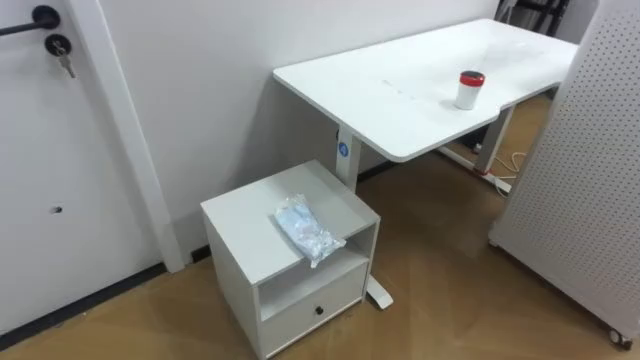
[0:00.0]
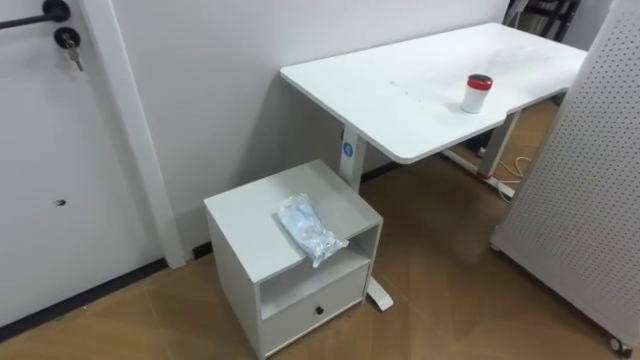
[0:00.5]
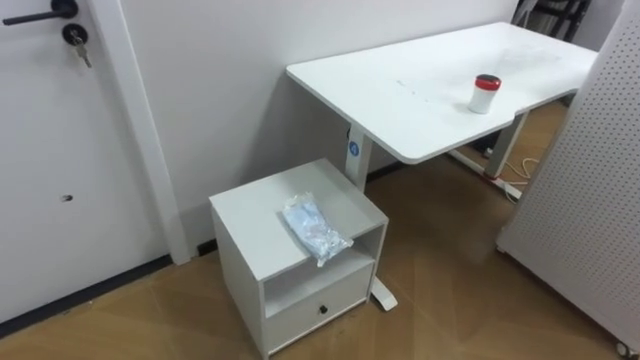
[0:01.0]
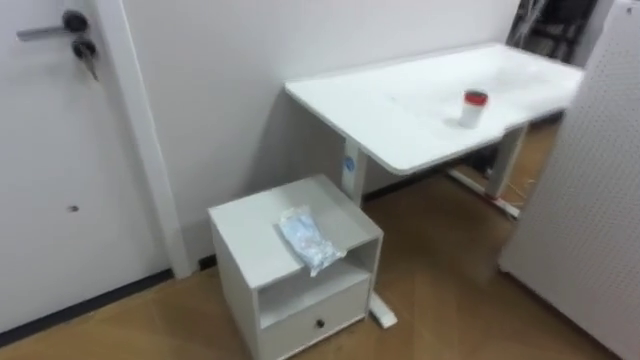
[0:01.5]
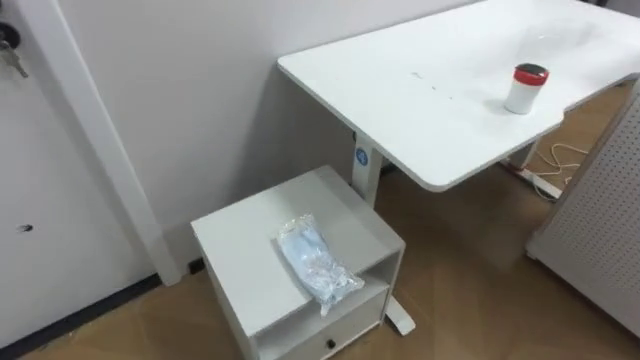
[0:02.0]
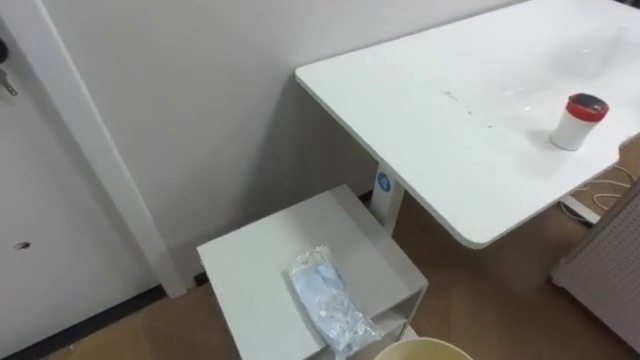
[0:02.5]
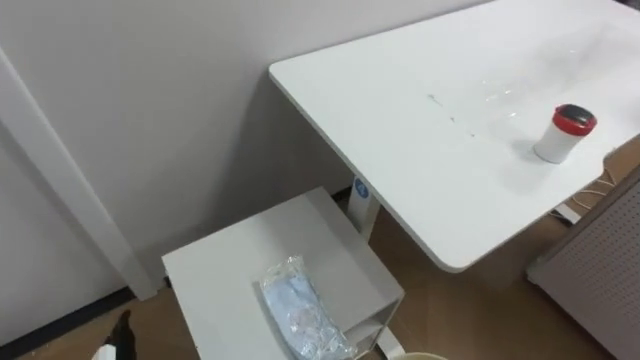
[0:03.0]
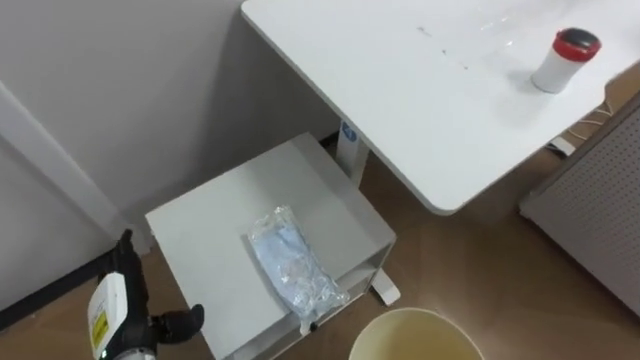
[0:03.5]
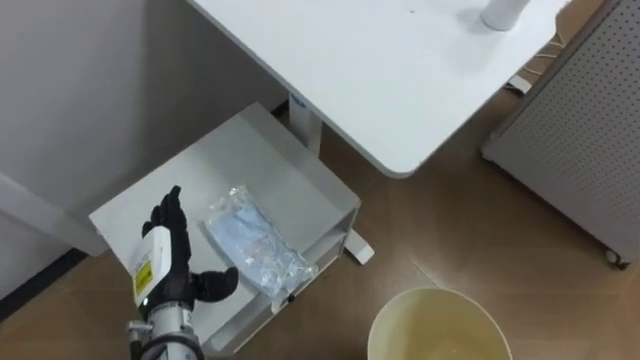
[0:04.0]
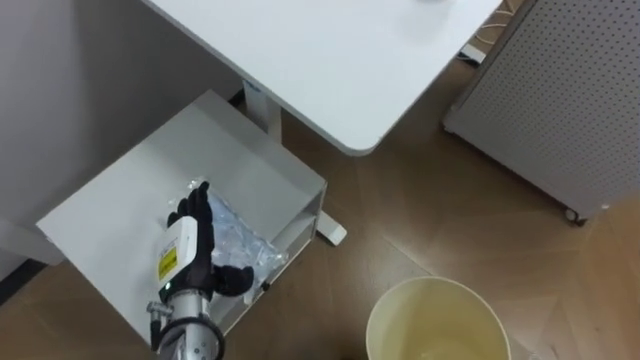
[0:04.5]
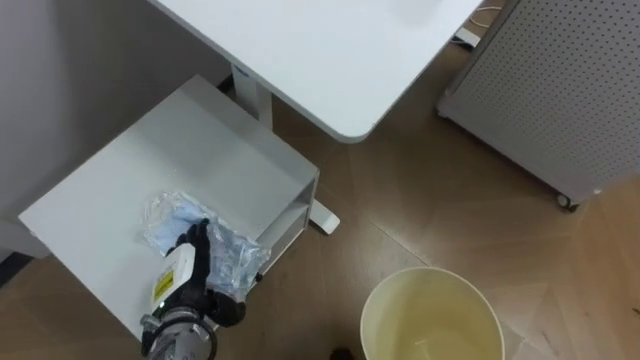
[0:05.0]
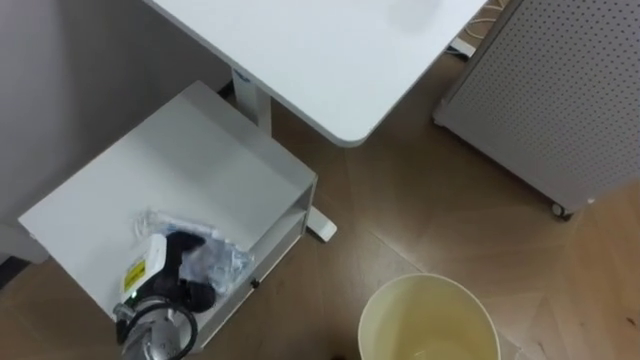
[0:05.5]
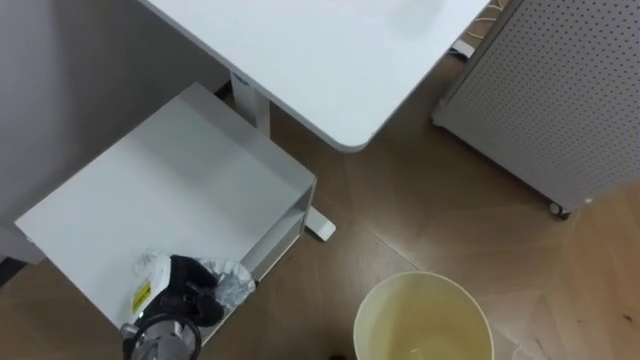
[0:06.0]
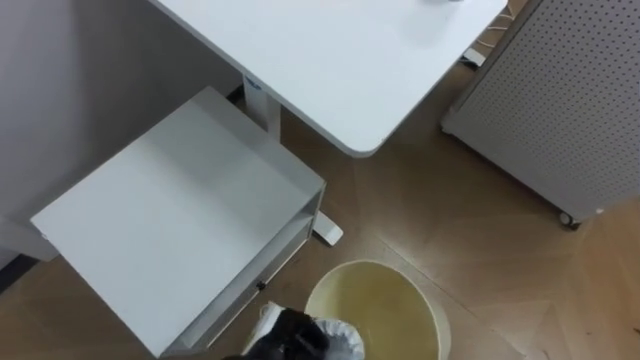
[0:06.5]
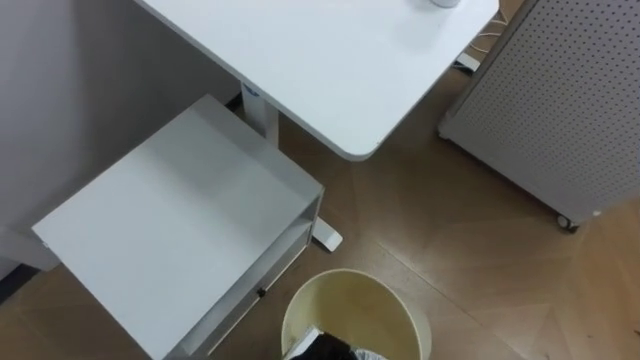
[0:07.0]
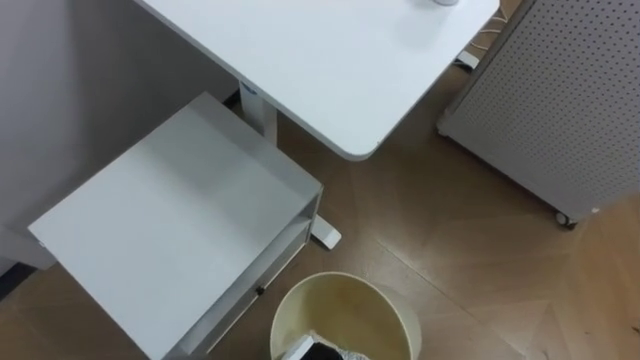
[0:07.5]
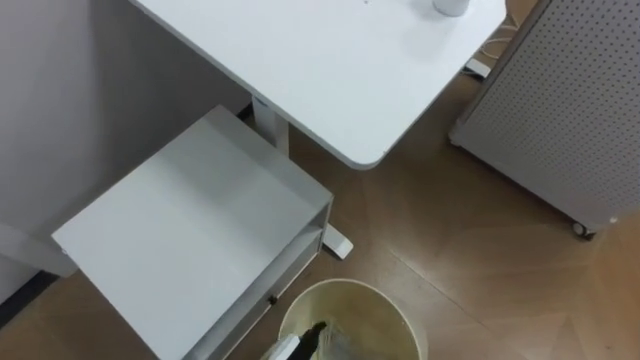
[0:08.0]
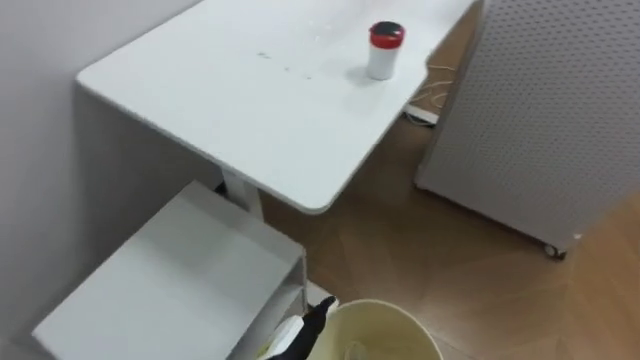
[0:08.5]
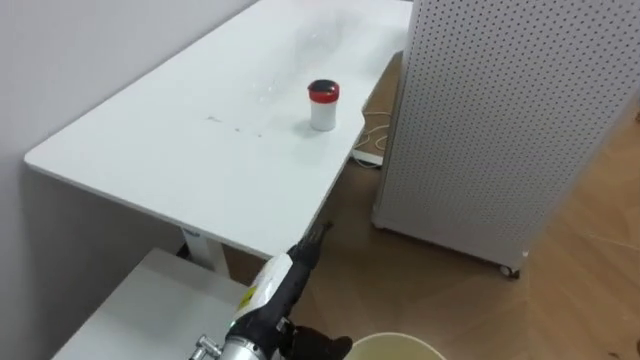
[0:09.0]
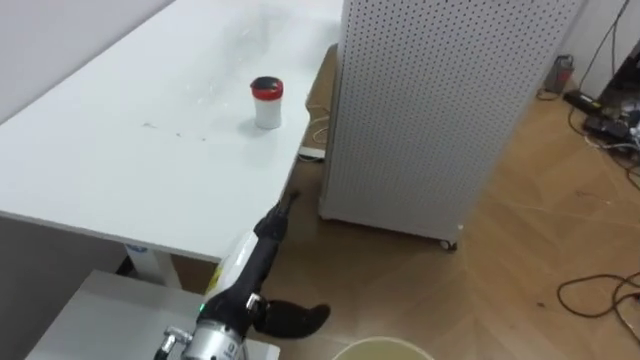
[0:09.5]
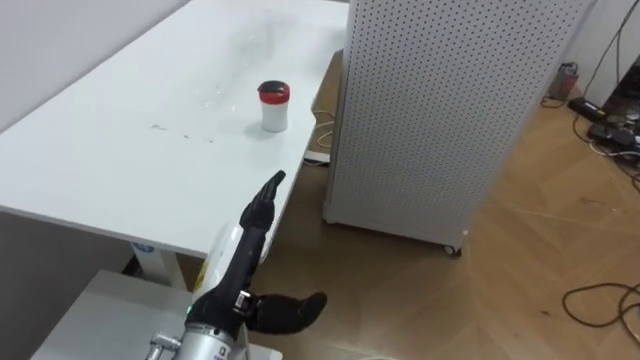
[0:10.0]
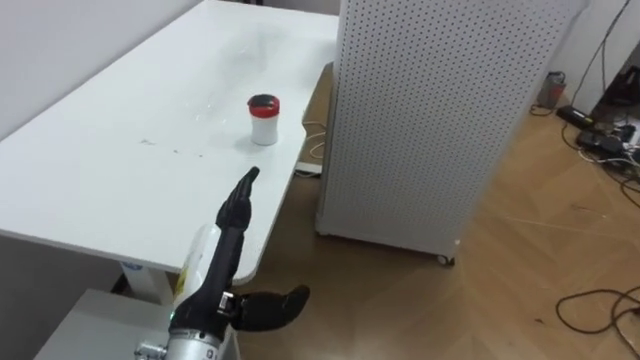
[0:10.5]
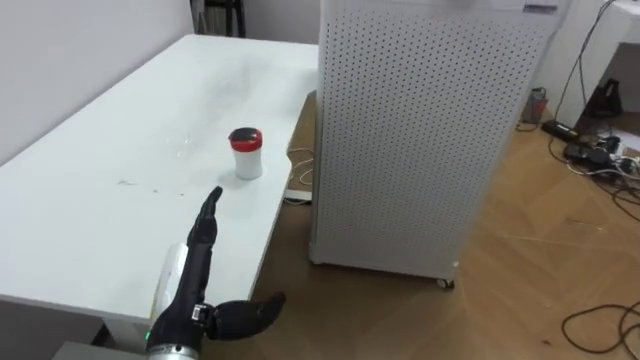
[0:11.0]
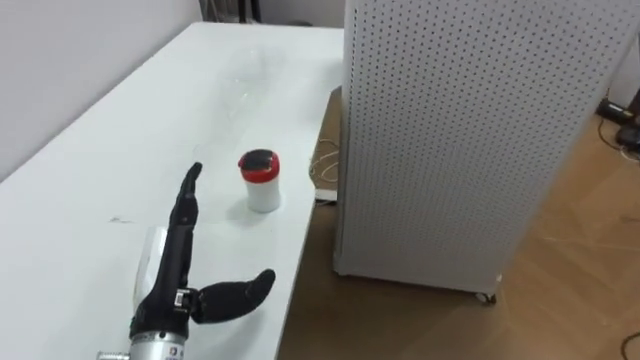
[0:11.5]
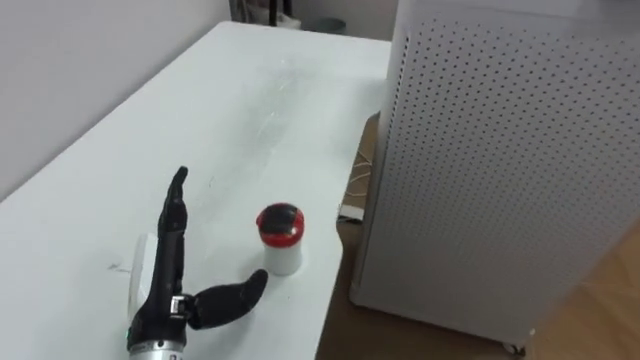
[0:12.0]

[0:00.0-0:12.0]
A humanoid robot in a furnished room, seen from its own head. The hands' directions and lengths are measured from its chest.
Task of the whole recording: Pick up the light blue package, the candy box, and the dark blue package separately, and put them into the trash can held in your right hand.
0:04.0 to 0:06.0: The left hand is displaced downward by about 5 cm, and closes up.
0:08.0 to 0:10.0: The robot turns to its right by approximately 35 degrees.
0:10.0 to 0:12.0: The left hand moves to the left, approximately 5 cm.

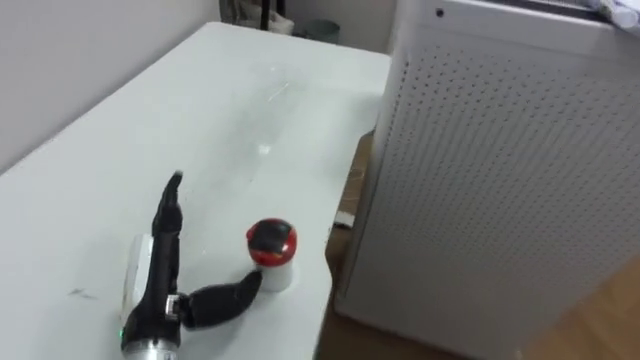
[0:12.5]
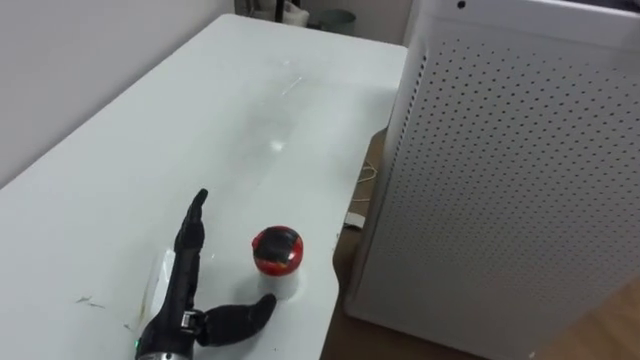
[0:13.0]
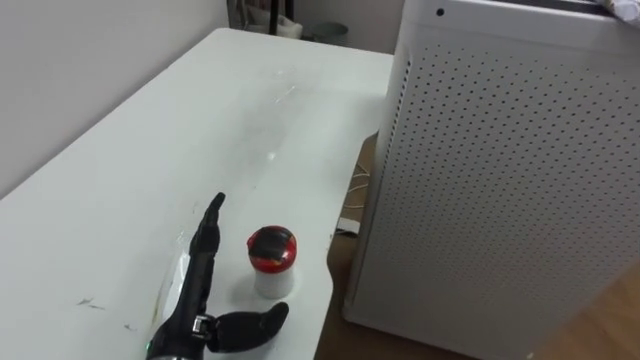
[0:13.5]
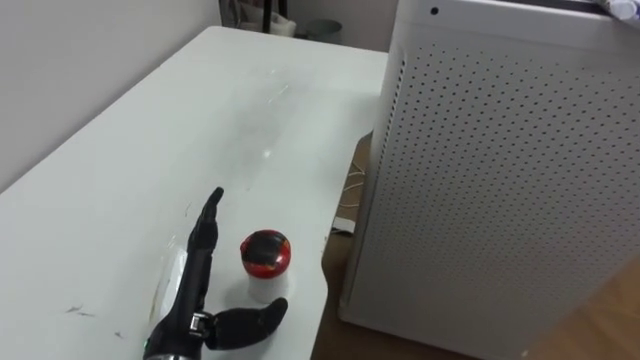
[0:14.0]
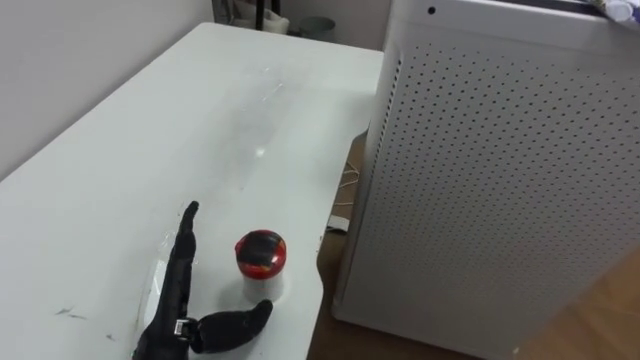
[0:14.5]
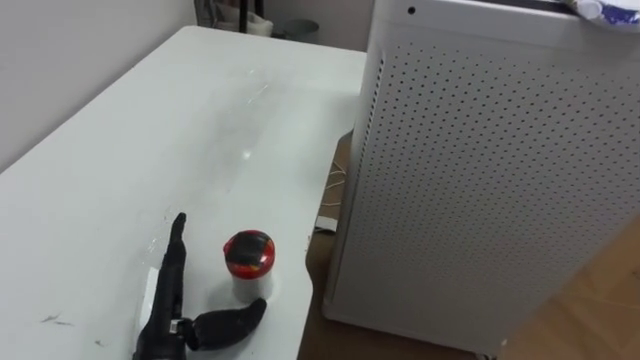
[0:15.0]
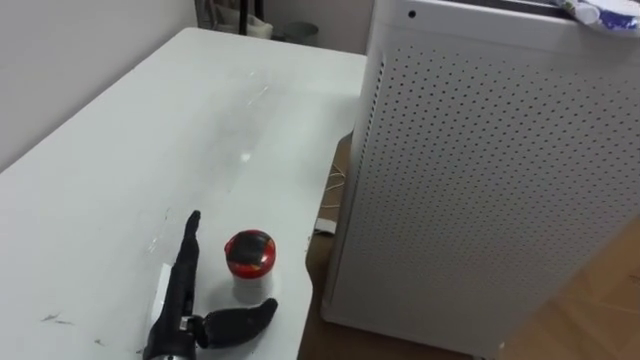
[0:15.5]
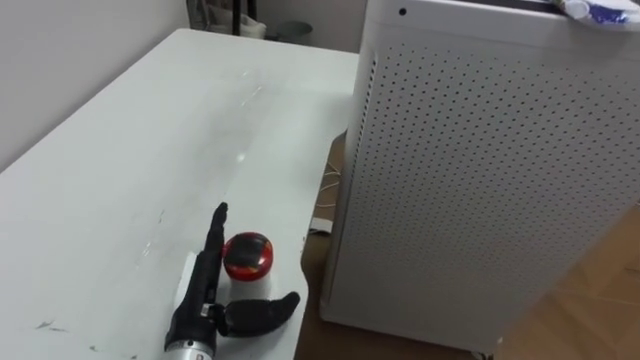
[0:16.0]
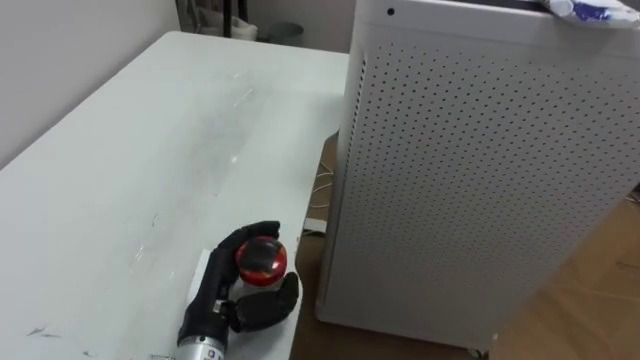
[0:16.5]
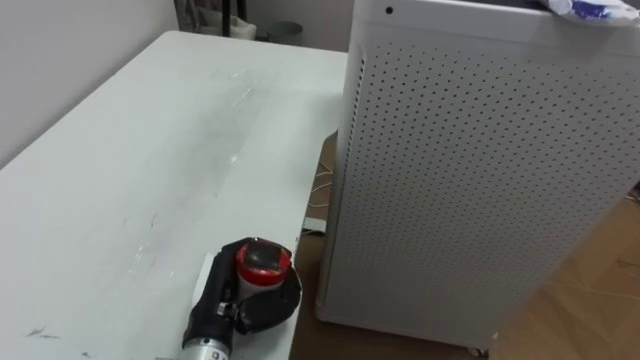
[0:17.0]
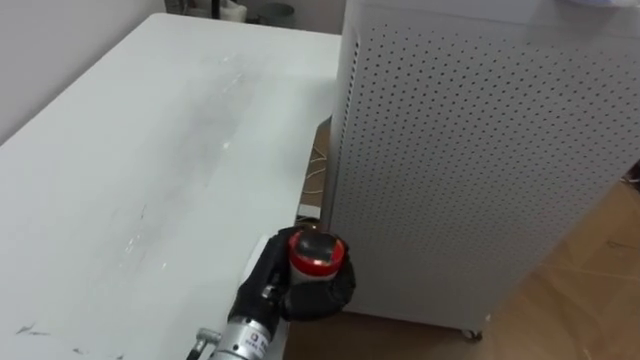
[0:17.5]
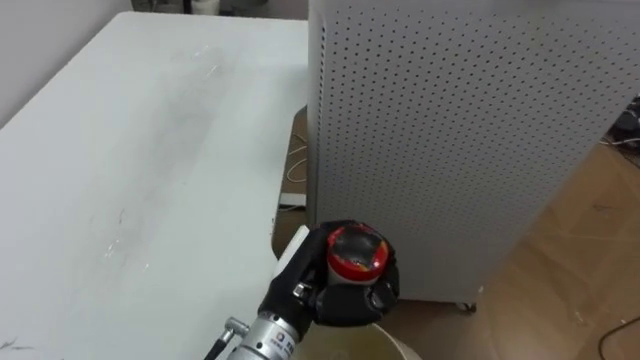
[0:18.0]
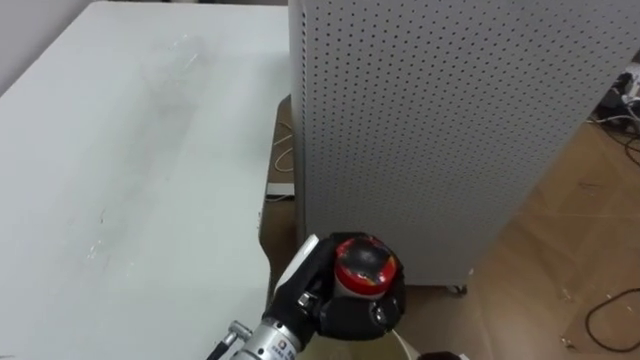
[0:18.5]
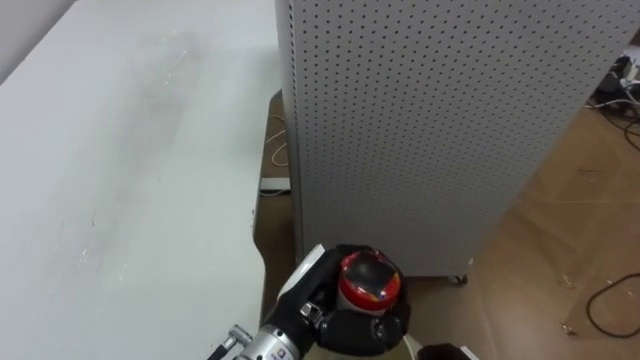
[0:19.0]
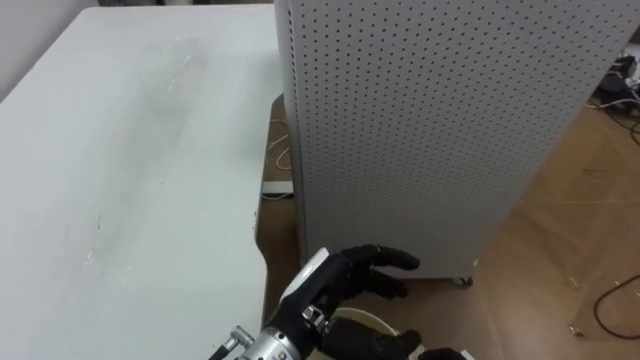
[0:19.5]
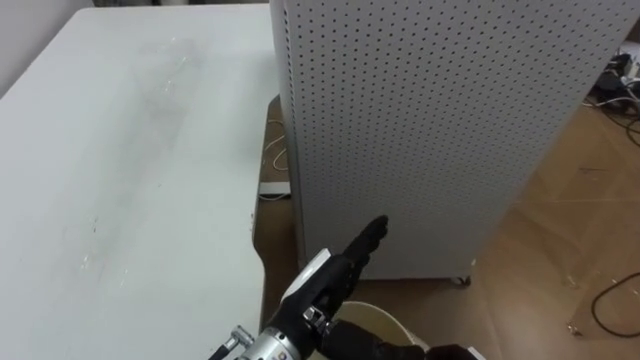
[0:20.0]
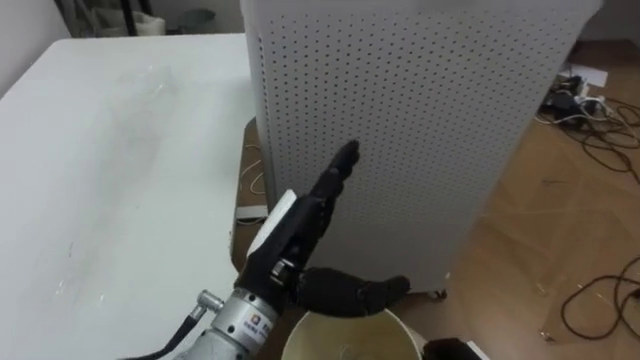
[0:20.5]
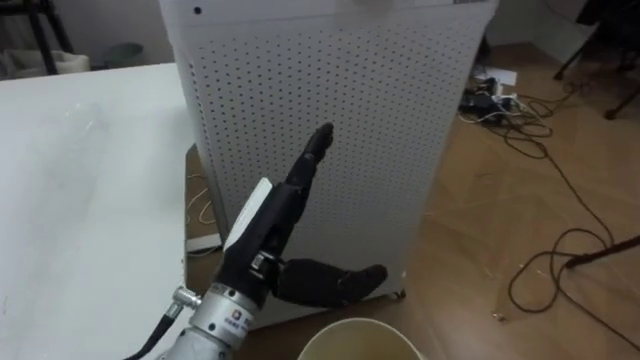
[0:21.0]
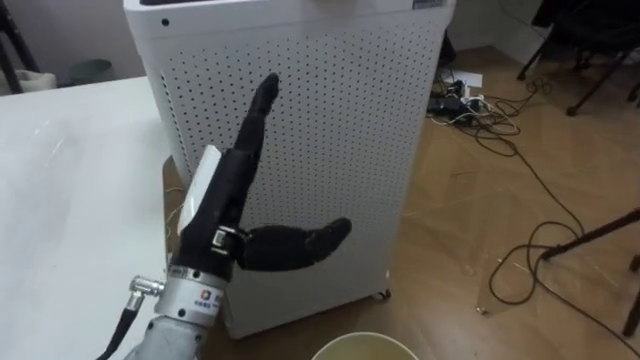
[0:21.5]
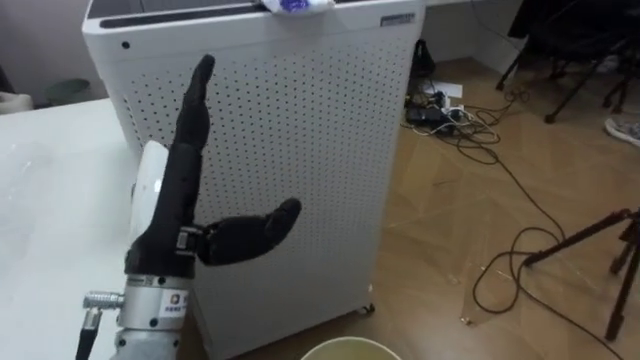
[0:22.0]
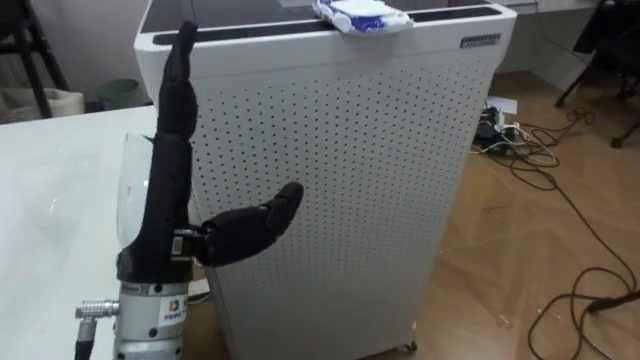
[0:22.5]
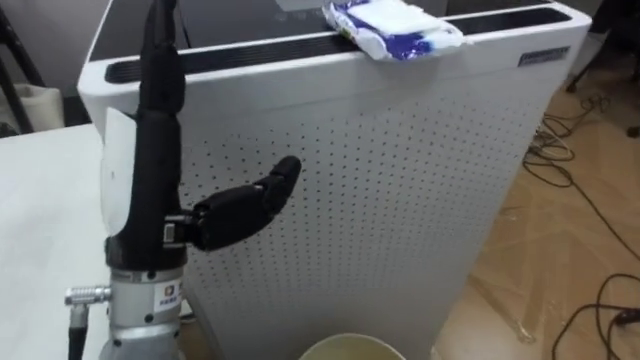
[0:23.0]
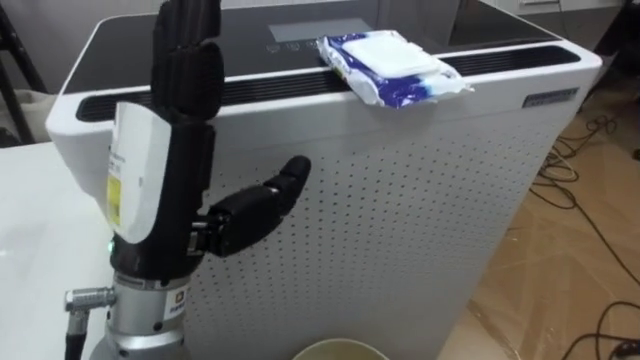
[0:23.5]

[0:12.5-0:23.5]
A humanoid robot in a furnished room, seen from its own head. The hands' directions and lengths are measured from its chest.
Task of the whole recording: Pick up the light blue package, the candy box, and the dark blue package separately, and put them into the trash can held in your right hand.
0:16.0 to 0:18.0: The left hand goes roughly 15 cm to the right, and closes up.
0:18.0 to 0:20.0: The left hand opens up.
0:20.0 to 0:21.5: The robot faces roughly 25 degrees further to its right. The left hand heads upward and to the left, covering approximately 15 cm.
0:21.5 to 0:23.5: The left hand is displaced upward by some 10 cm.
